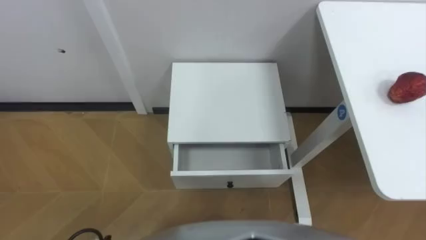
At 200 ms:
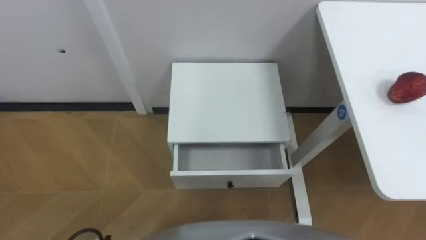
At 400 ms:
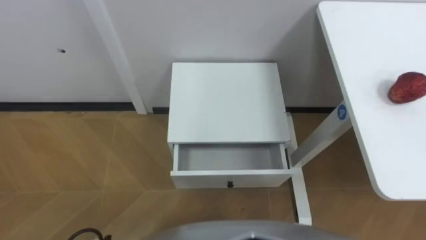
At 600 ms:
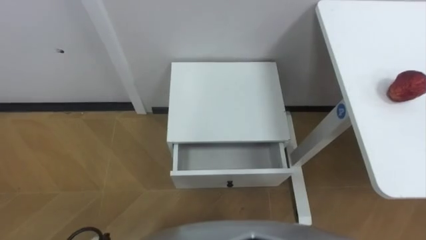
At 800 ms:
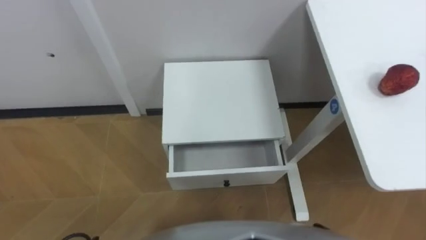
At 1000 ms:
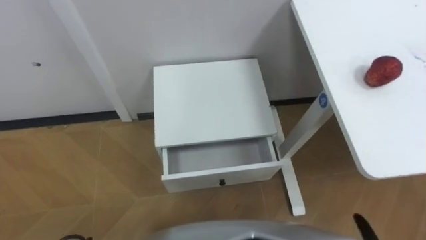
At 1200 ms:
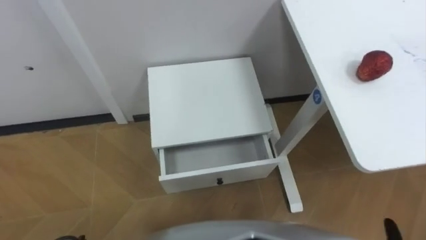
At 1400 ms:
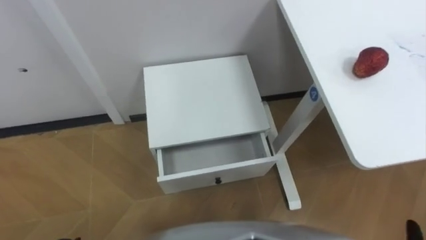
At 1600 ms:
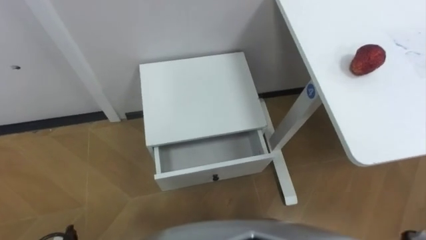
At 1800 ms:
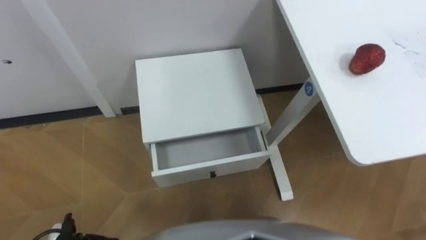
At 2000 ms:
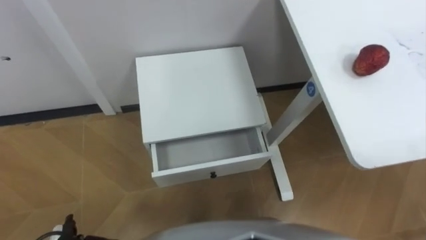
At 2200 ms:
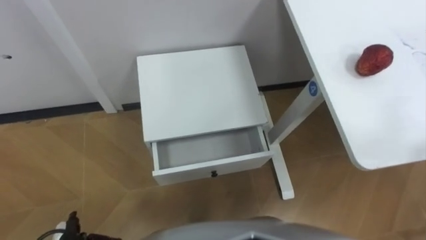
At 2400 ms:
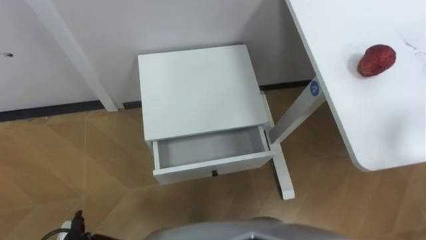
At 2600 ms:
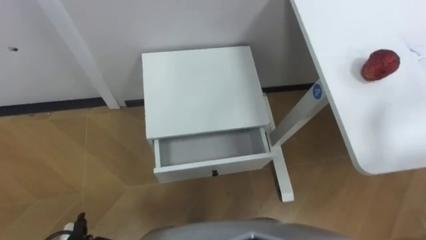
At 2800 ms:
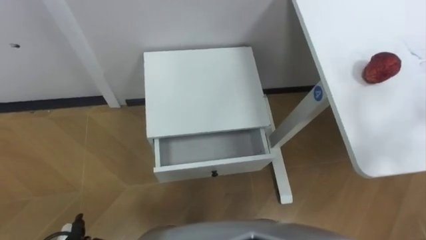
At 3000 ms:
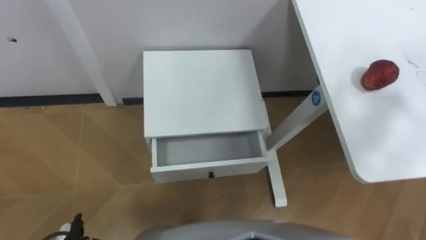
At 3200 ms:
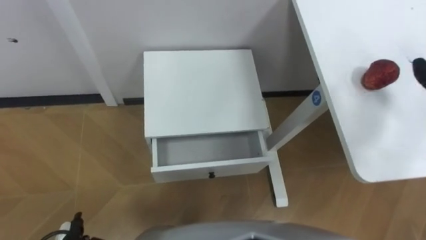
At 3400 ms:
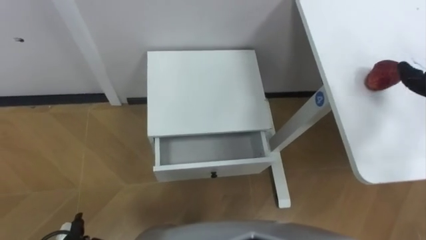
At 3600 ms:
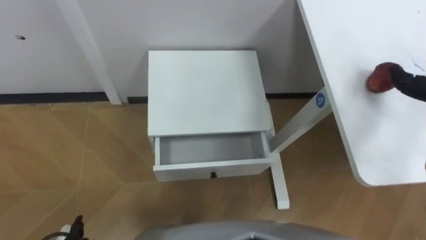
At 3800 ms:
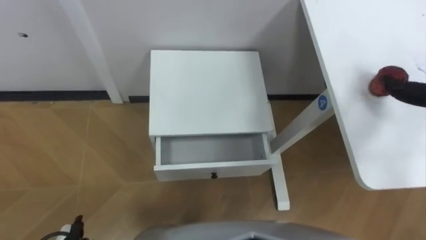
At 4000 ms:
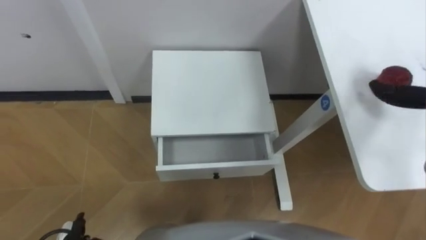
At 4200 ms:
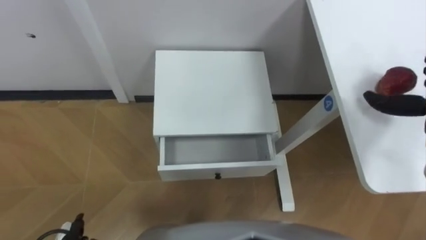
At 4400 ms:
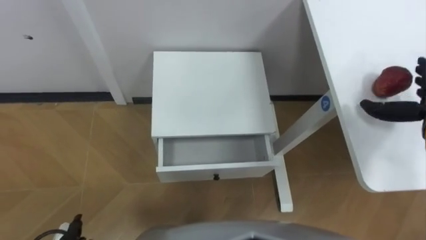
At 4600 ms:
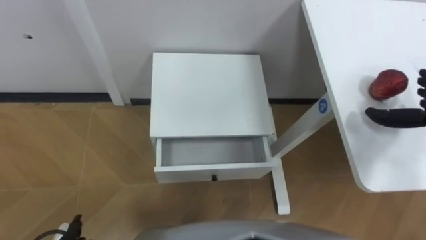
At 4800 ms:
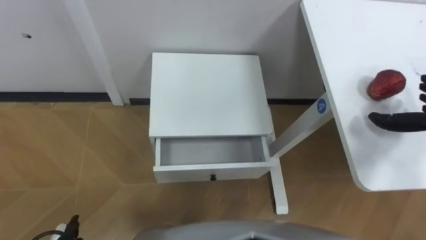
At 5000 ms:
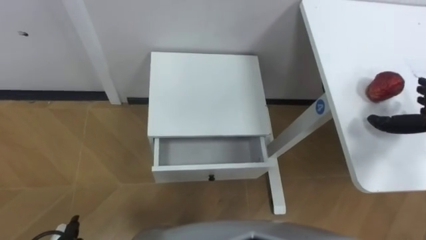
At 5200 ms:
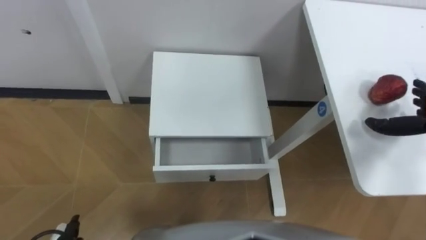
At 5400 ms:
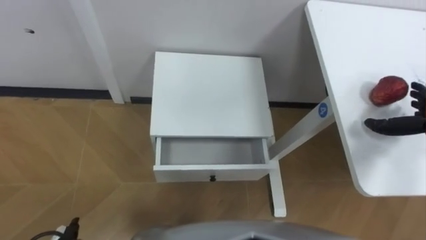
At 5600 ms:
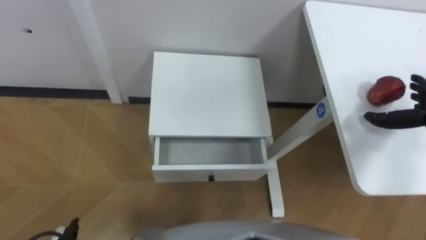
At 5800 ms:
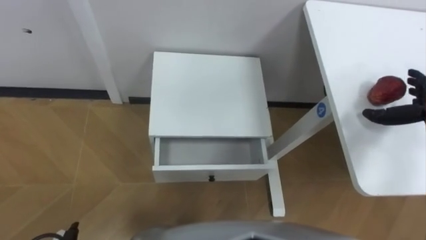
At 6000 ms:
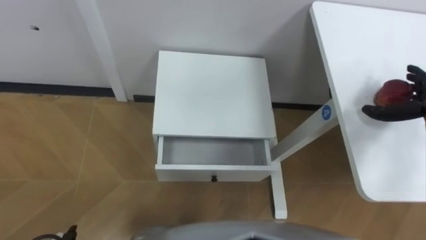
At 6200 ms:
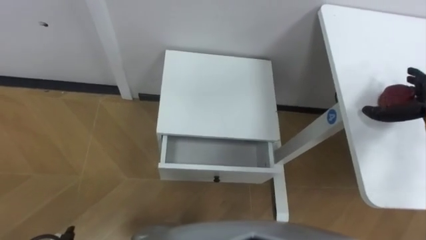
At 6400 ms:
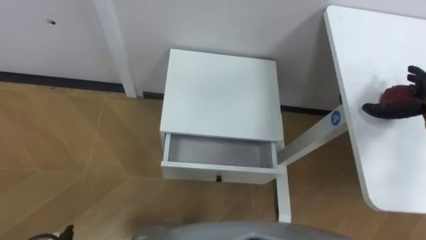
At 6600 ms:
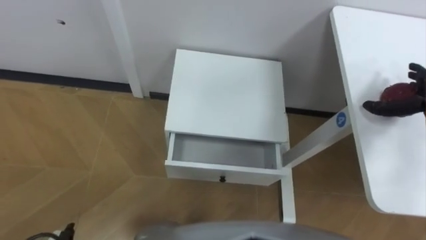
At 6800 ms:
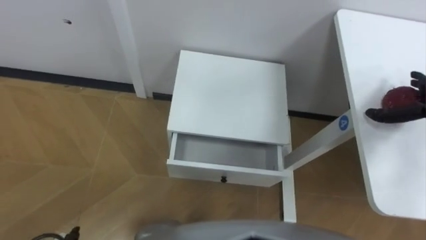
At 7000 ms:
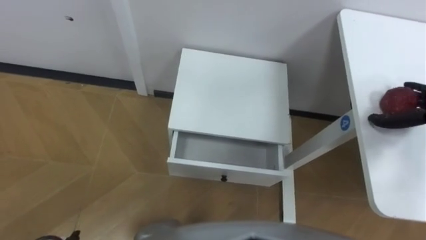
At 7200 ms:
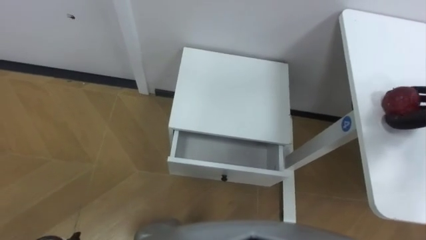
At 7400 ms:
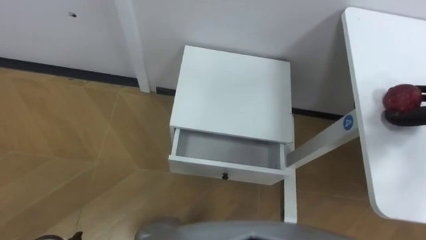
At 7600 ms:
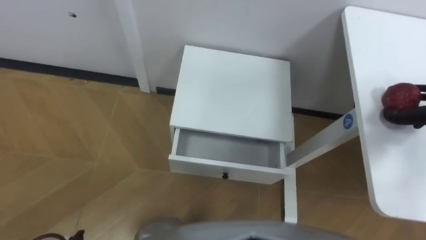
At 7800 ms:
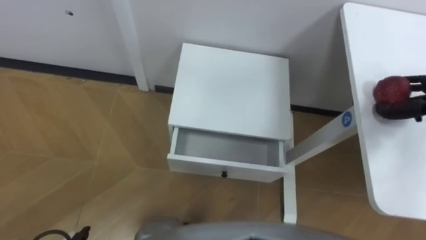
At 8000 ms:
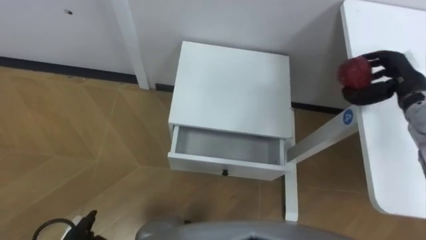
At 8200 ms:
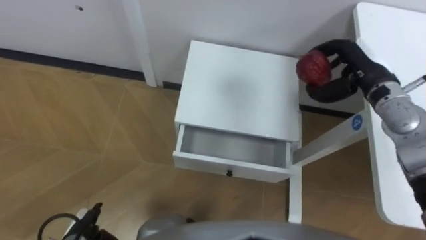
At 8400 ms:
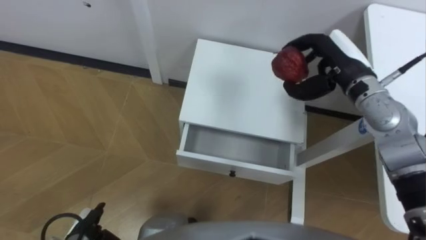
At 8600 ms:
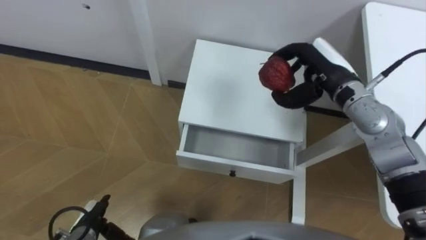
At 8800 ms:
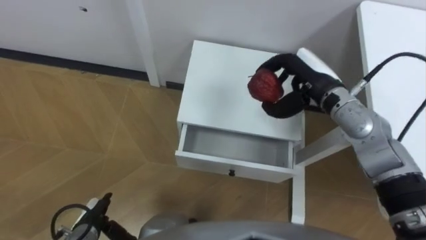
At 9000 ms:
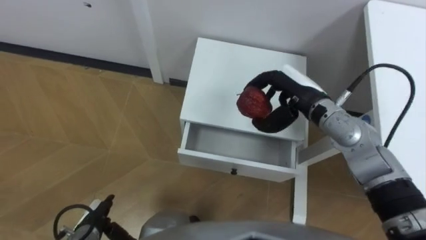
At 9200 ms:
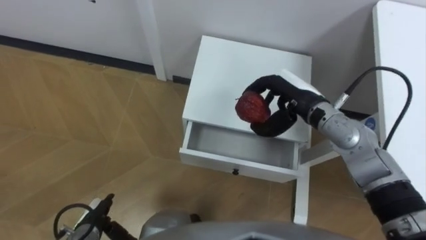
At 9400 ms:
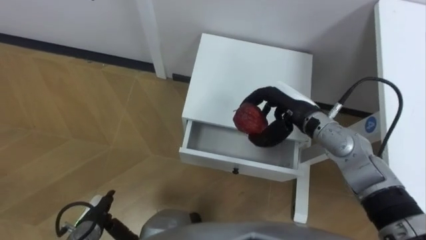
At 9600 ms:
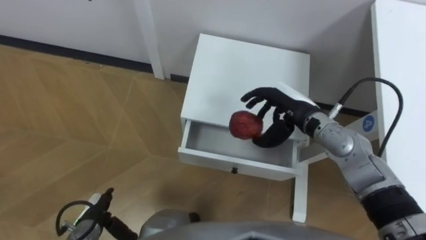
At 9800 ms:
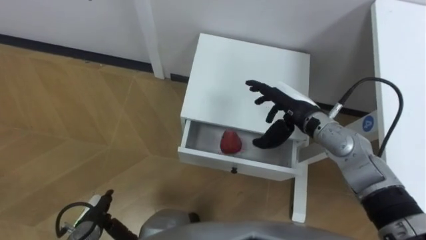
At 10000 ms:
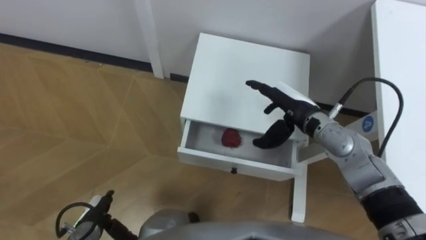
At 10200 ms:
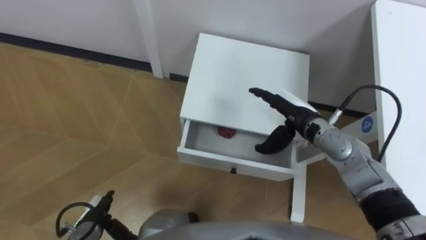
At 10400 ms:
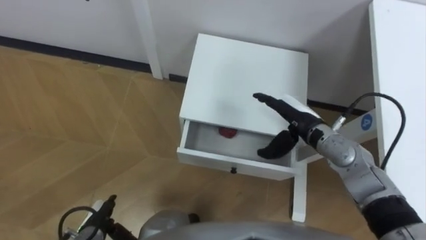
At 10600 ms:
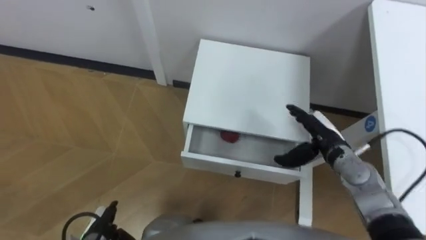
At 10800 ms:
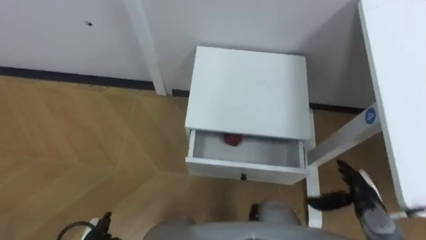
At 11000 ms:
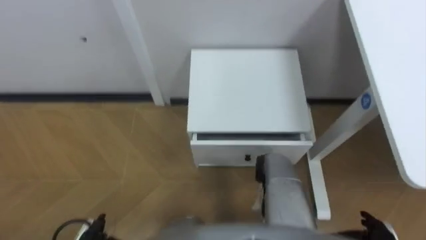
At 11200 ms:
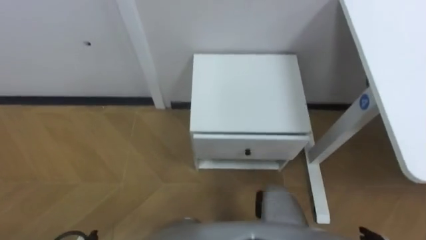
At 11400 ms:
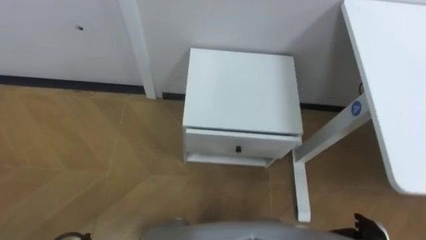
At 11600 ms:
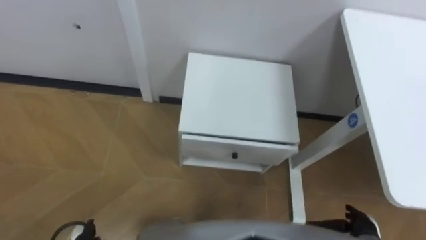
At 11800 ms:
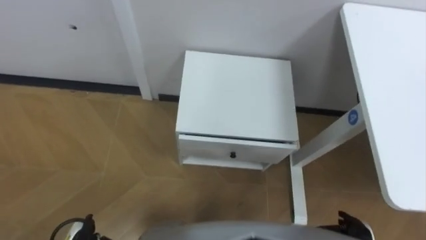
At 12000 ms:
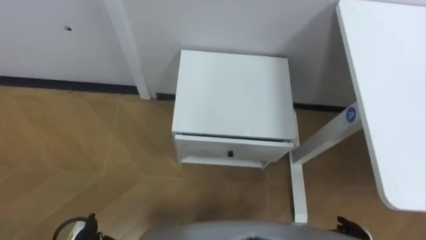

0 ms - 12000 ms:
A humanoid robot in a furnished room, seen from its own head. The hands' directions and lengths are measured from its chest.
Task of the whole recording: Pick up the apple from the table, put it in the drawer, and close the drawer with leg.
9000 ms - 10400 ms: The right hand heads downward, covering approximately 5 cm, and opens.

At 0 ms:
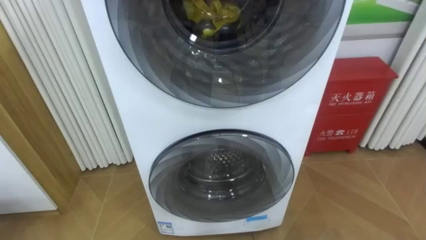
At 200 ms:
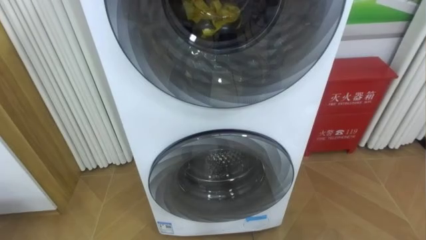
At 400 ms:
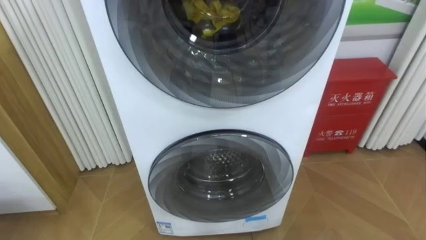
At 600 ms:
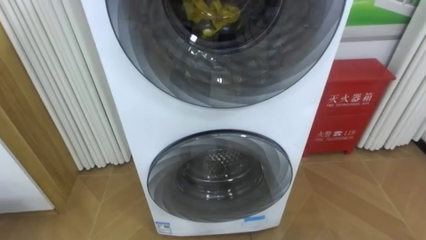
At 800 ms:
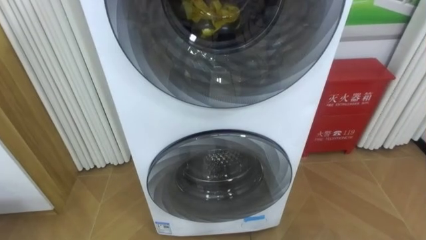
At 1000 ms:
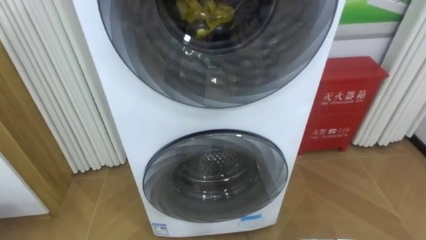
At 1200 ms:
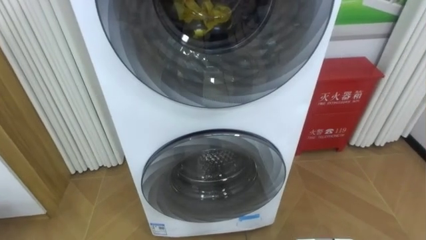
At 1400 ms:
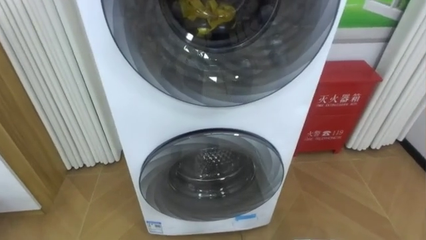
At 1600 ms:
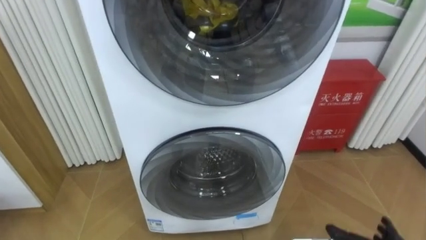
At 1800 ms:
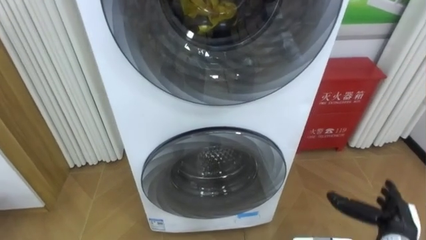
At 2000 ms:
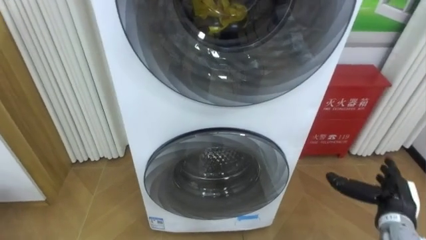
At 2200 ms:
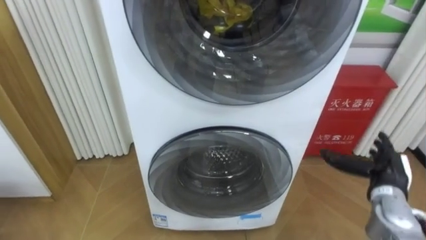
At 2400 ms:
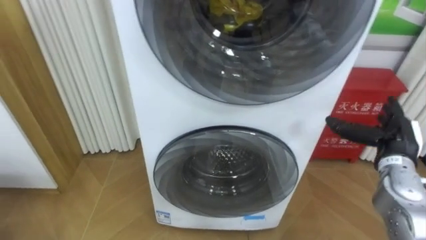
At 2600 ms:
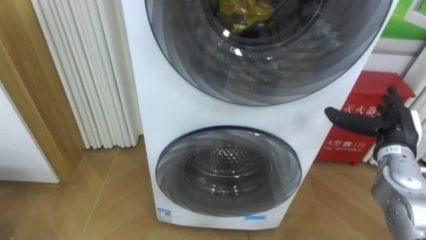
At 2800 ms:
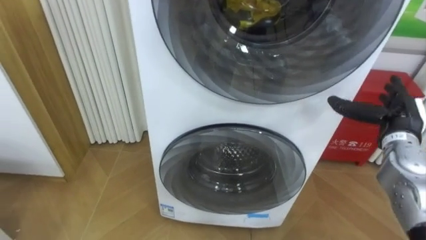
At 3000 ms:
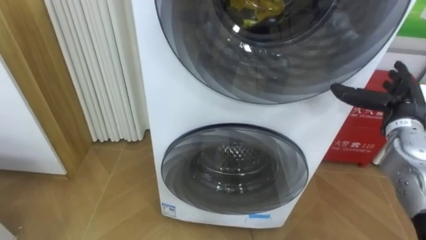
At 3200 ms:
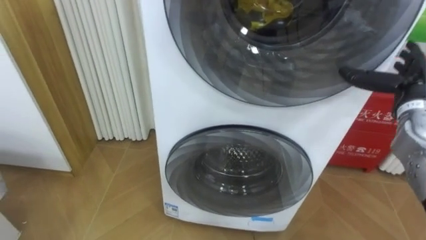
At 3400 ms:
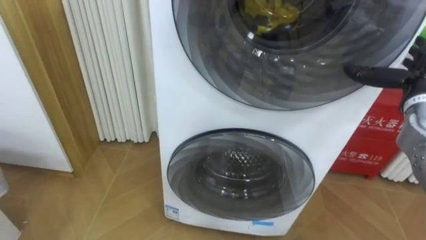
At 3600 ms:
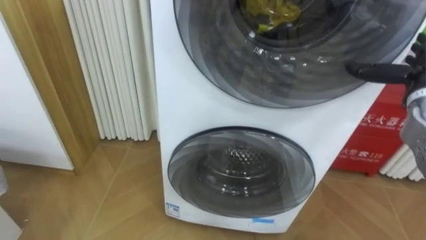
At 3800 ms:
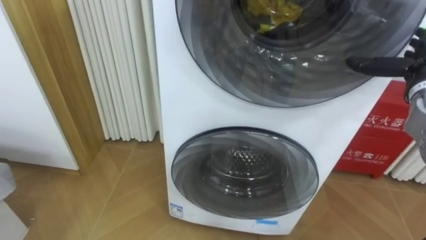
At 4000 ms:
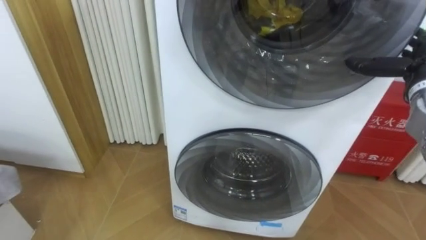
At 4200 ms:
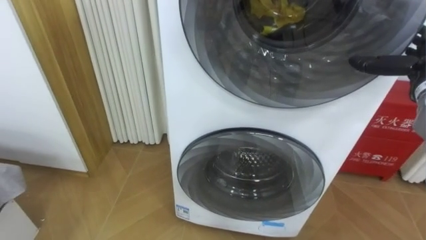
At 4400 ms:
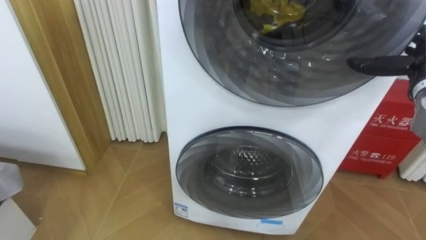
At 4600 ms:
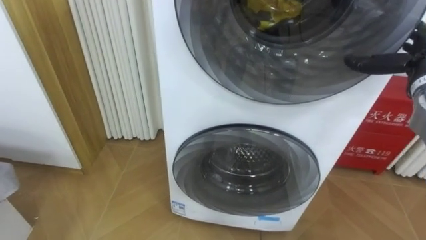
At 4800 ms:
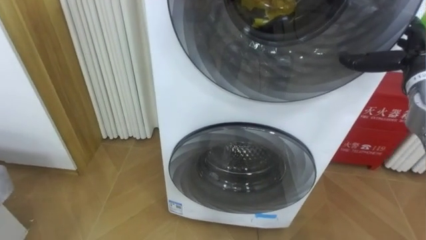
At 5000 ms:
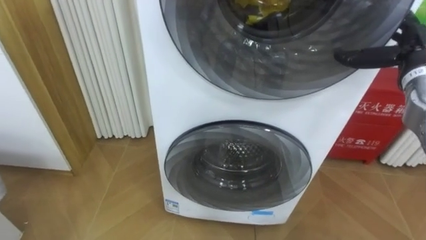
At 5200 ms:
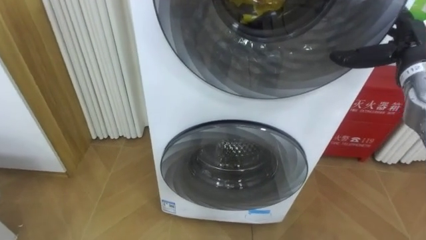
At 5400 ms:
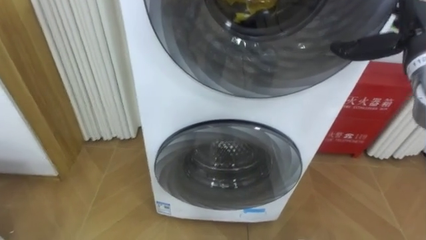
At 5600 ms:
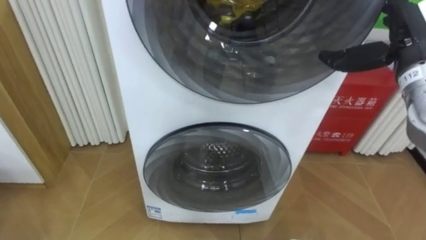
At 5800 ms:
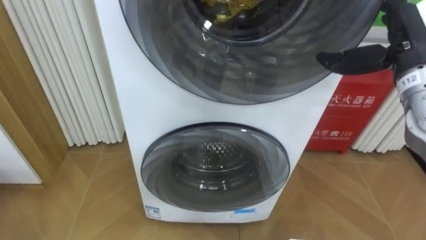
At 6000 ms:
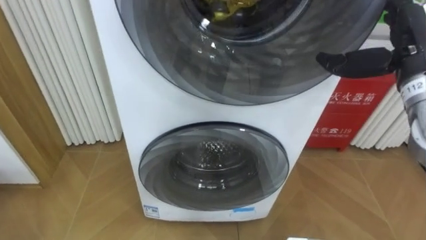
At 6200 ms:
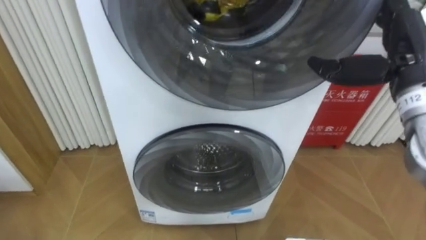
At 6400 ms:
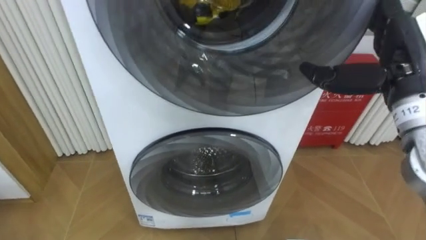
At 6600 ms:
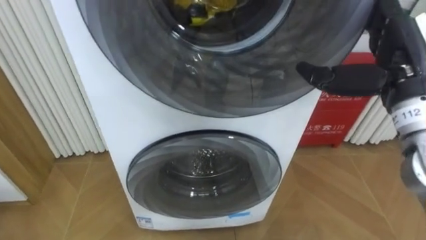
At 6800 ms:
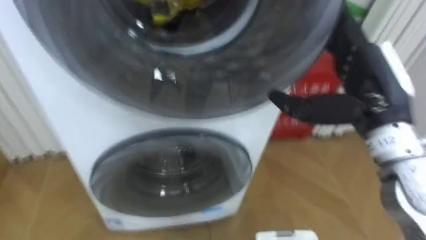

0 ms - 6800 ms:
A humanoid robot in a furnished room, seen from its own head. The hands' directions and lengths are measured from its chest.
Task of the whole recording: Open the washing machine door, take out the yellow clothes, place them in the box on the right, and close the washing machine door.
2800 ms - 4000 ms: The right hand heads upward, covering approximately 10 cm.
4000 ms - 5400 ms: The right hand heads upward, covering approximately 5 cm.
5400 ms - 6800 ms: The right hand shifts roughly 15 cm backward and to the left.
